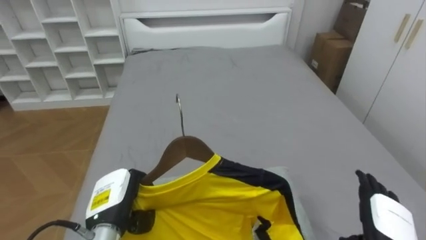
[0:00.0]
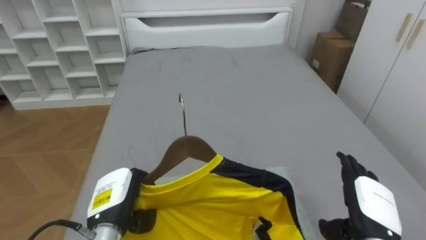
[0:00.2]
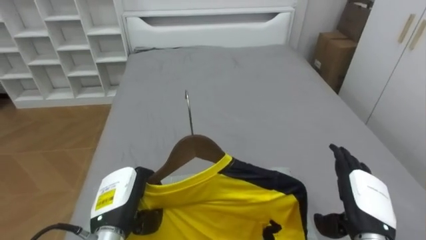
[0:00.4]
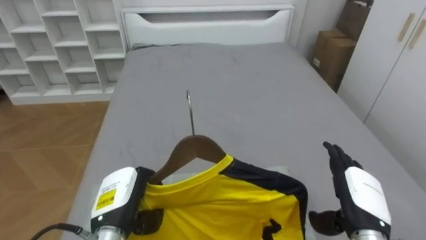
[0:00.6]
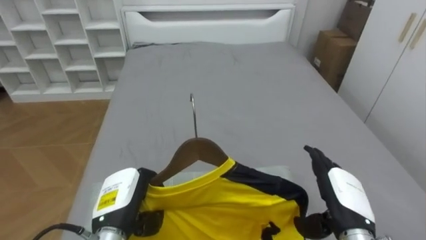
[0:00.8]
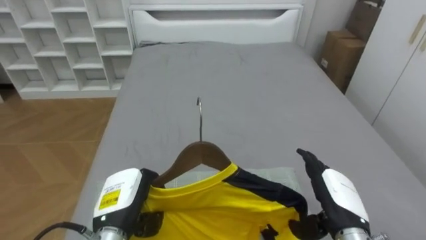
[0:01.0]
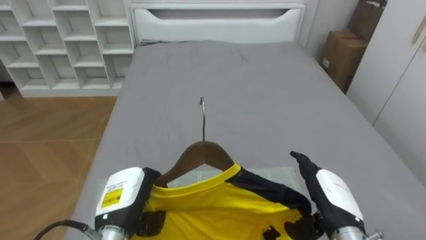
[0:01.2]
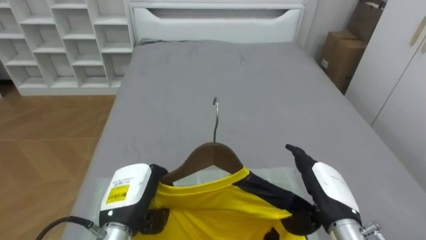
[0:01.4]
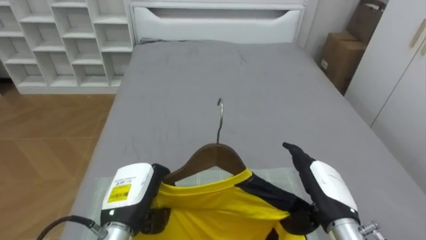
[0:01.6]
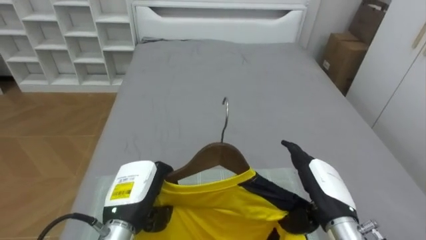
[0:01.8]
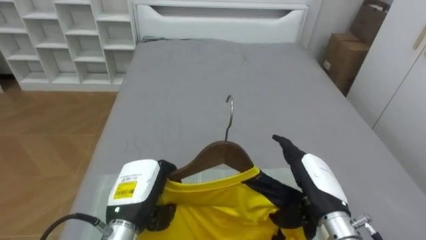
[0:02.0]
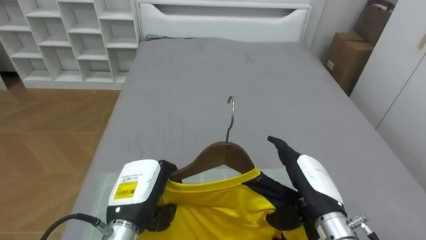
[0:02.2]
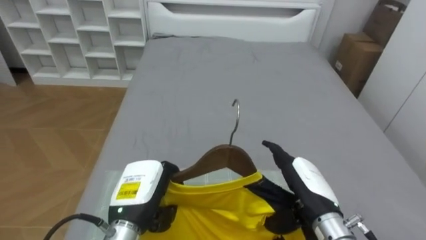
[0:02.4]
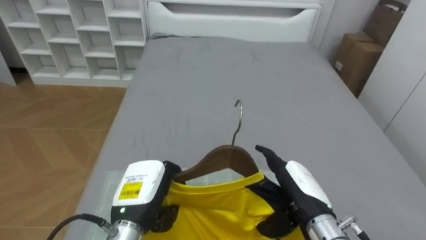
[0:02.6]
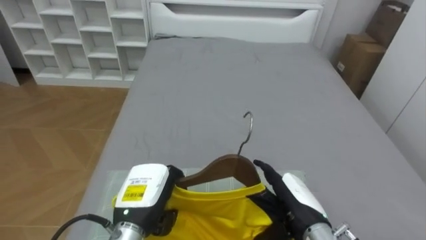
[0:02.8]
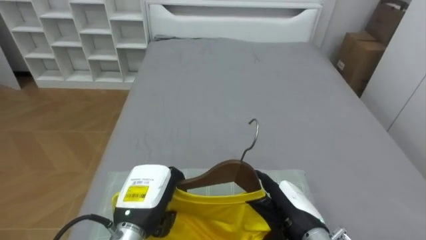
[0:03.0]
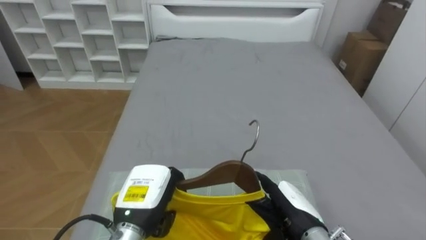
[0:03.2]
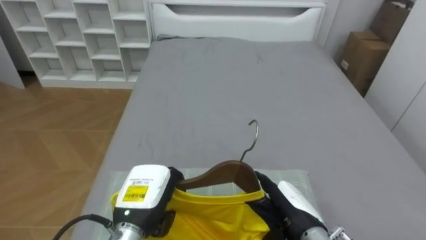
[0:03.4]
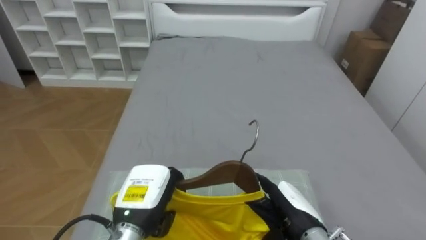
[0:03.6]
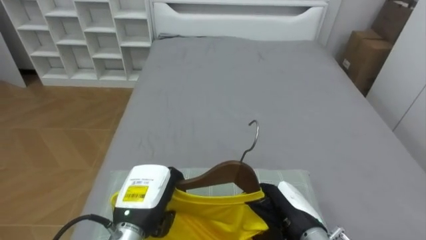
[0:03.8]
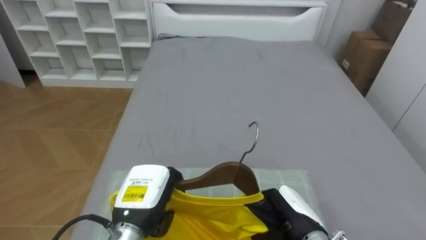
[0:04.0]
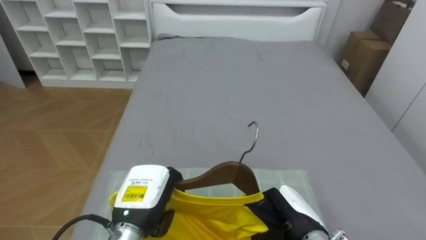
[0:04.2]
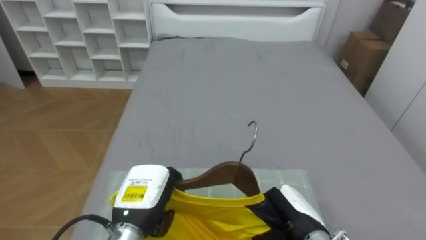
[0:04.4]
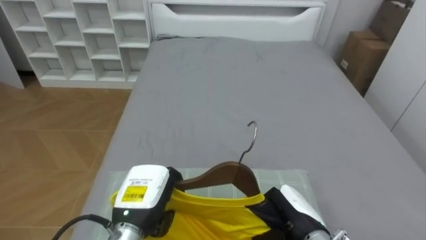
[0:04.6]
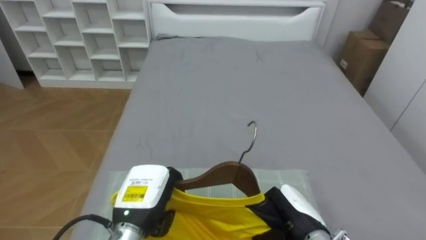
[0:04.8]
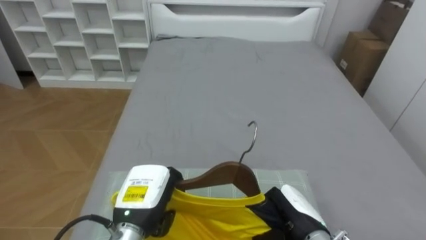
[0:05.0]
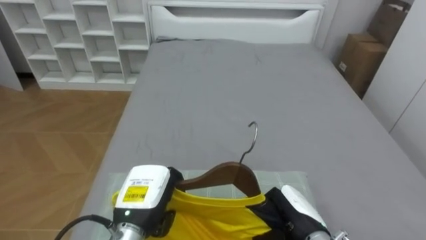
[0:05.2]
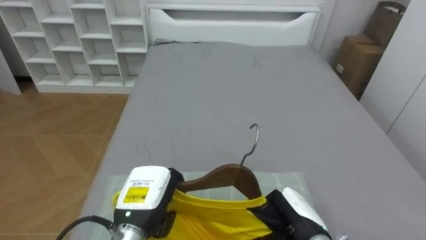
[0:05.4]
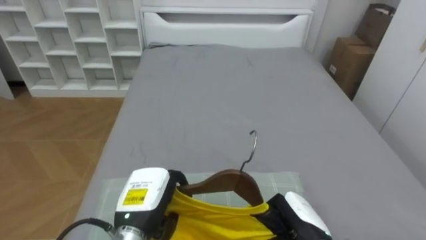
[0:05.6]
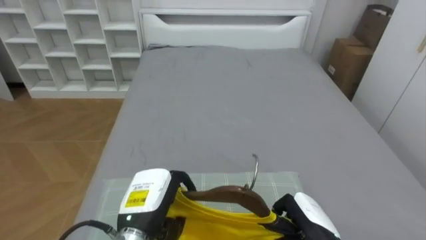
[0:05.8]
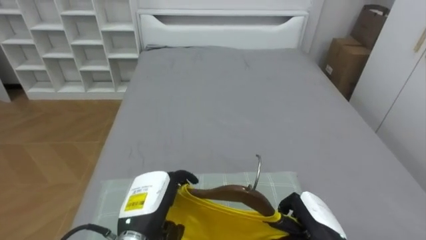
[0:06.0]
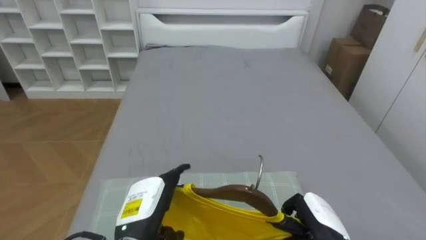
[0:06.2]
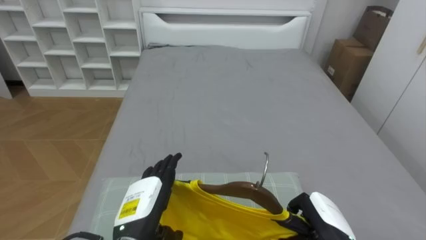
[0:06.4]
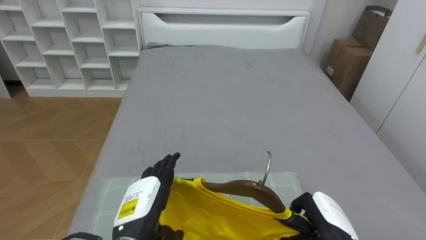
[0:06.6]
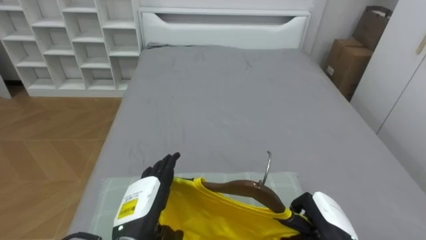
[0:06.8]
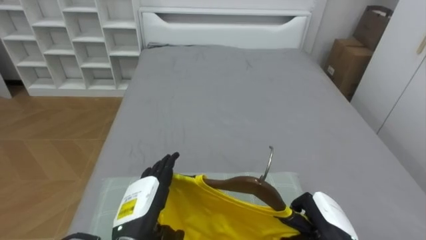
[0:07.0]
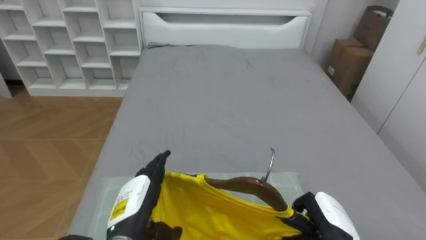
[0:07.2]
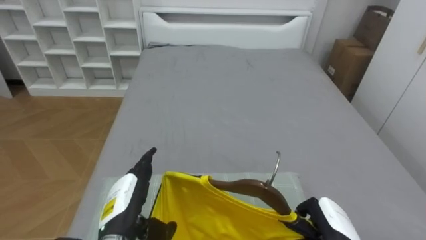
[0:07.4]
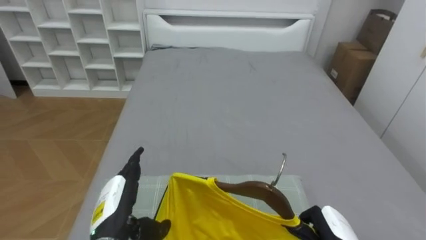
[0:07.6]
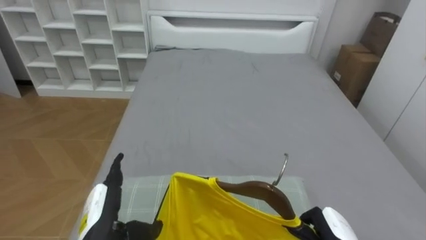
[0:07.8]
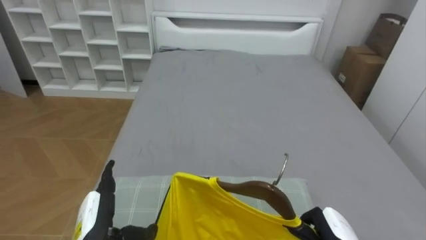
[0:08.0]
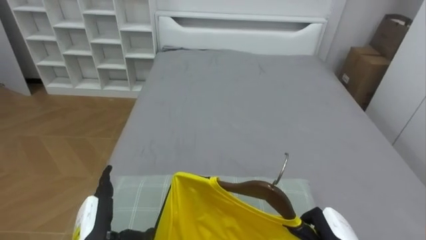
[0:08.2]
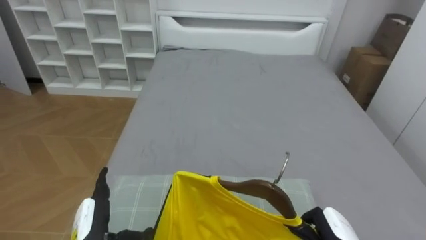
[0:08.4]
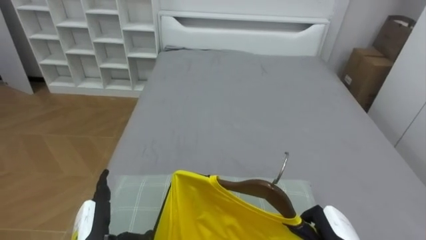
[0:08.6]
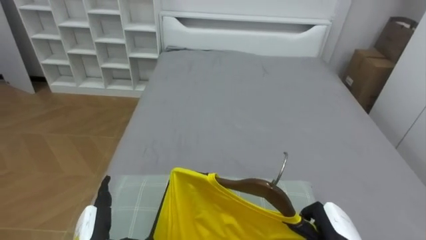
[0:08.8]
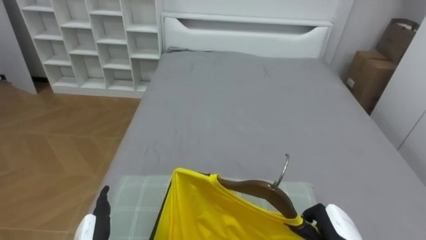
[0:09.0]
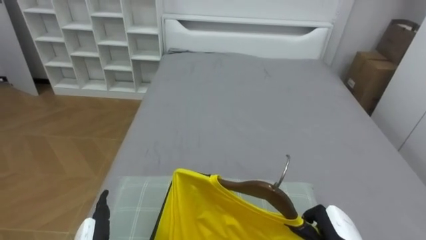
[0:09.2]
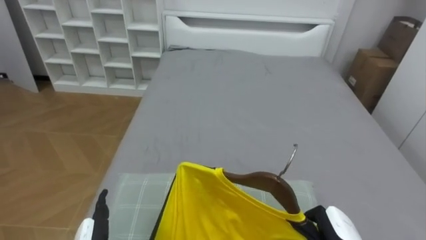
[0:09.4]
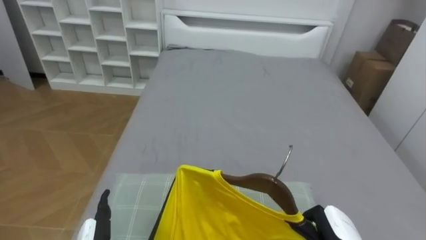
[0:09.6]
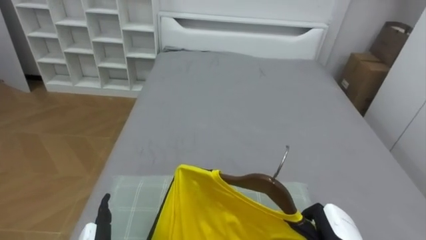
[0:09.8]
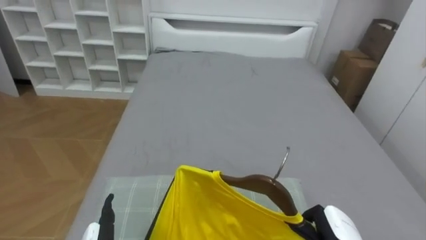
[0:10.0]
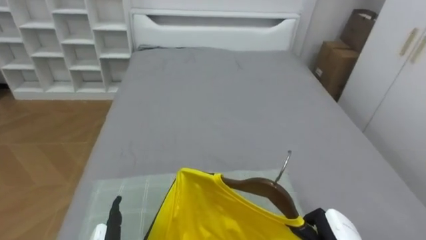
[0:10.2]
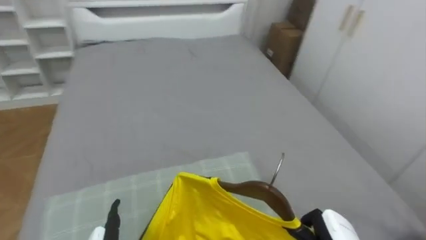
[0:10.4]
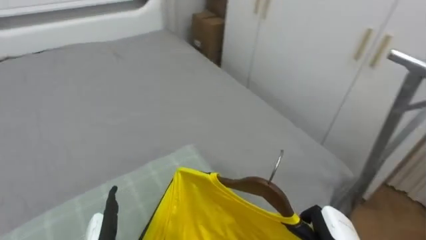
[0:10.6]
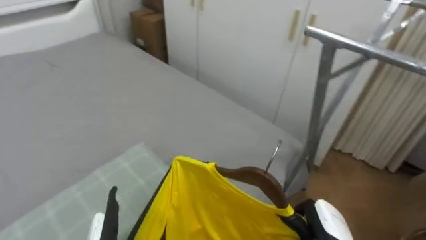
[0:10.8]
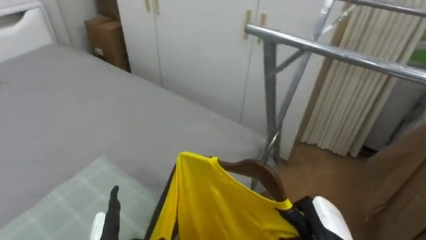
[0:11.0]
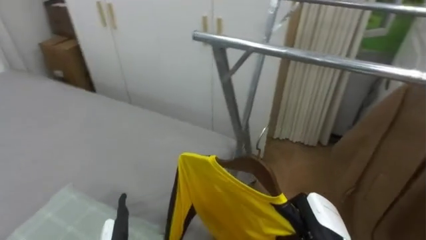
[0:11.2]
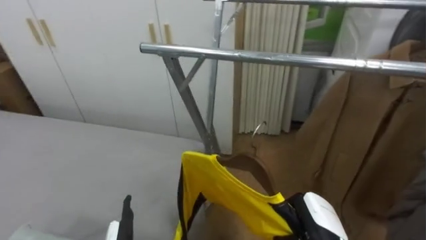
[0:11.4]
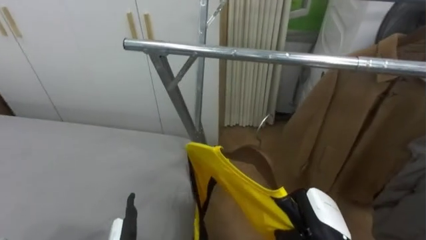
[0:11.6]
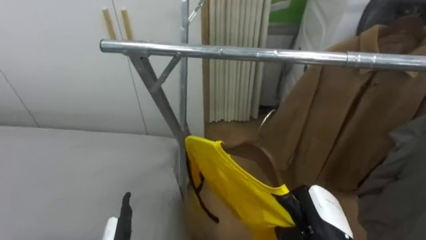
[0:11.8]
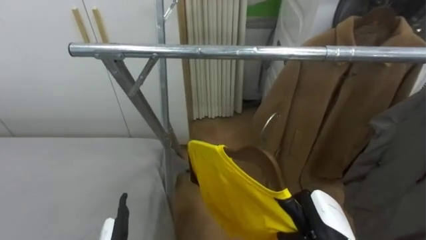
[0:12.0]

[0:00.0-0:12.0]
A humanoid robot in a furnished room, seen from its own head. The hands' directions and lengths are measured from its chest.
Task of the whole recording: Pick up the yellow shirt on the bed and hang it on the clothes rack on the right.
0:00.0 to 0:01.6: The right hand heads to the left and upward, covering roughly 10 cm.
0:01.6 to 0:03.0: The right hand moves approximately 5 cm.
0:03.0 to 0:04.4: The right hand closes.
0:04.4 to 0:06.0: The left hand opens its fingers.
0:06.0 to 0:07.6: The left hand moves to the left, approximately 5 cm, and opens.
0:07.6 to 0:09.0: The left hand goes about 5 cm downward.
0:10.4 to 0:12.0: The robot's body swings roughly 75 degrees to its right.

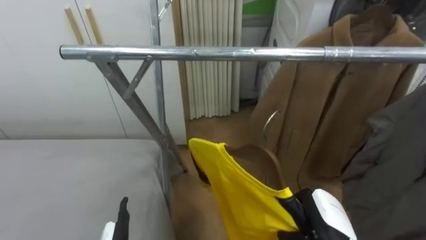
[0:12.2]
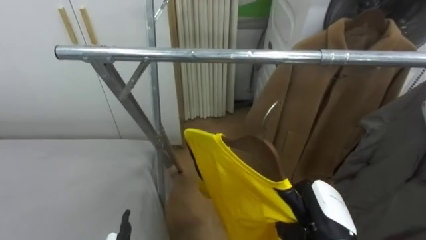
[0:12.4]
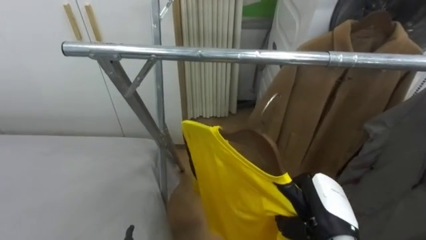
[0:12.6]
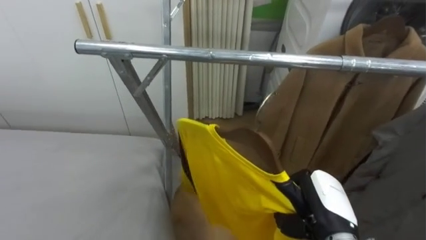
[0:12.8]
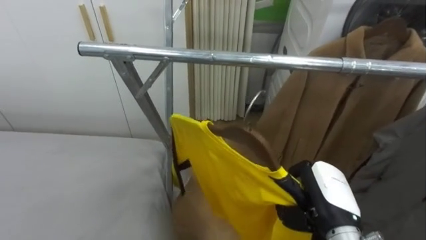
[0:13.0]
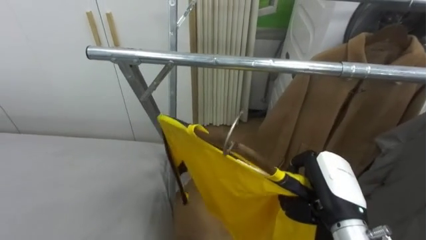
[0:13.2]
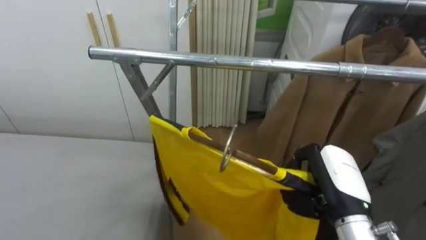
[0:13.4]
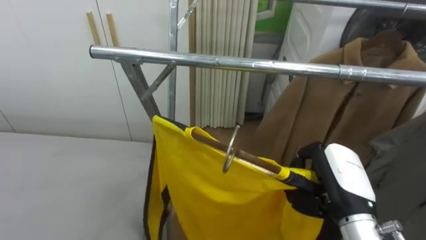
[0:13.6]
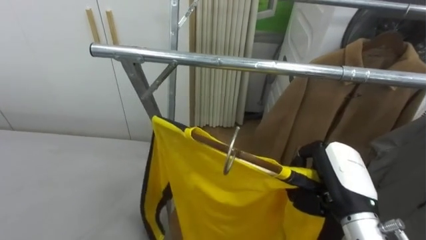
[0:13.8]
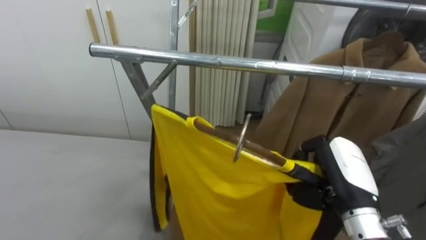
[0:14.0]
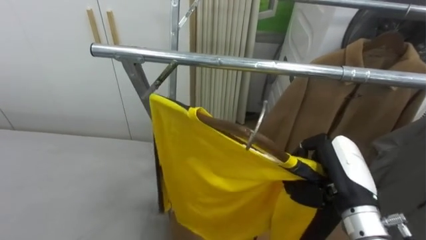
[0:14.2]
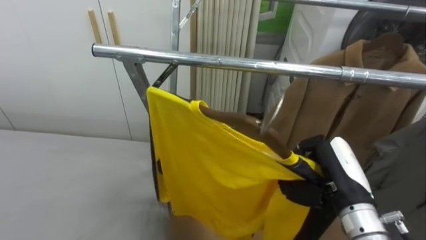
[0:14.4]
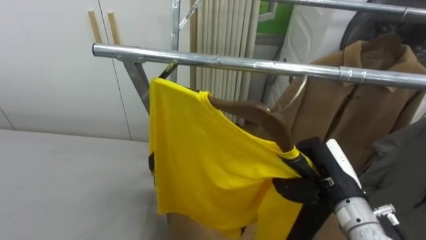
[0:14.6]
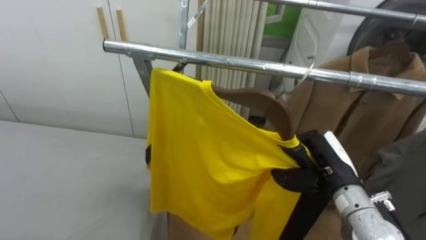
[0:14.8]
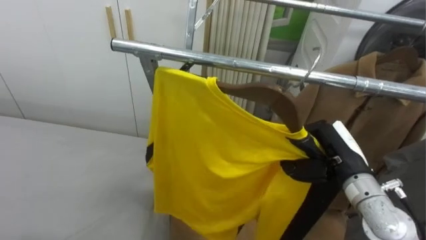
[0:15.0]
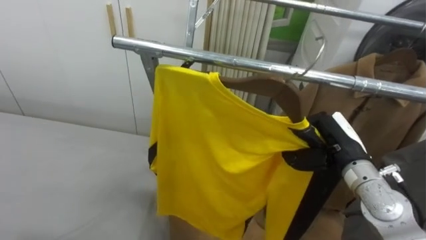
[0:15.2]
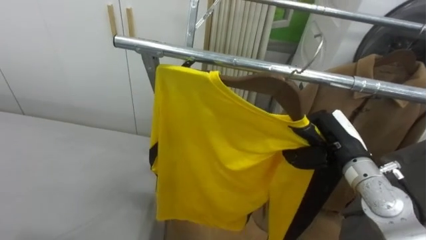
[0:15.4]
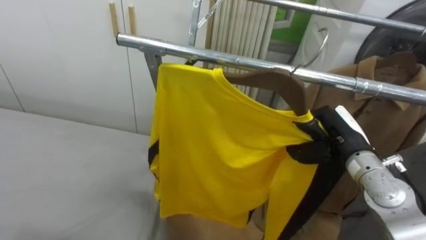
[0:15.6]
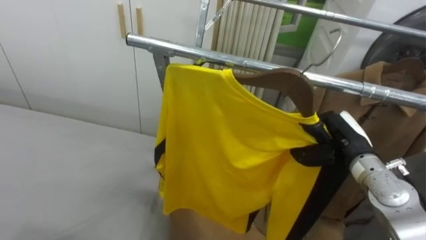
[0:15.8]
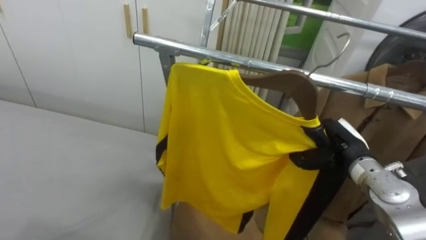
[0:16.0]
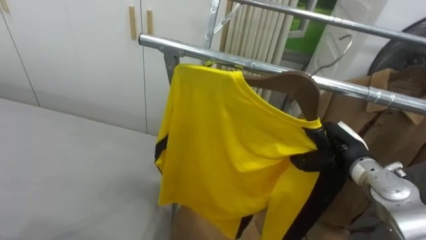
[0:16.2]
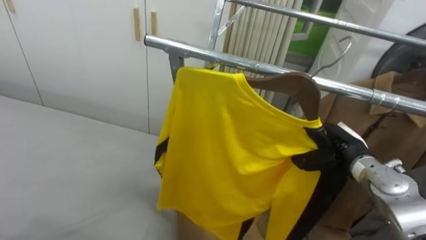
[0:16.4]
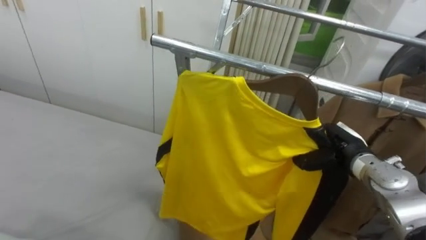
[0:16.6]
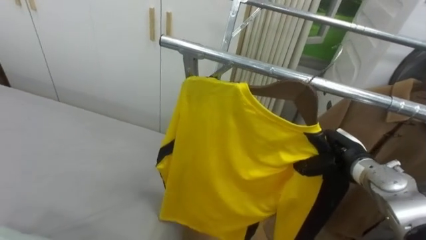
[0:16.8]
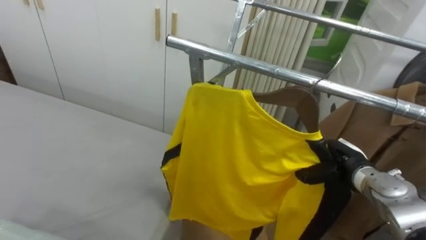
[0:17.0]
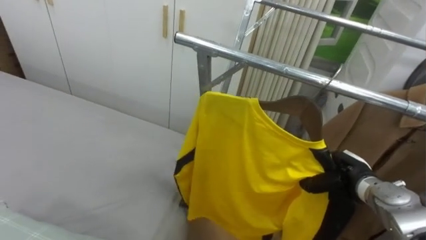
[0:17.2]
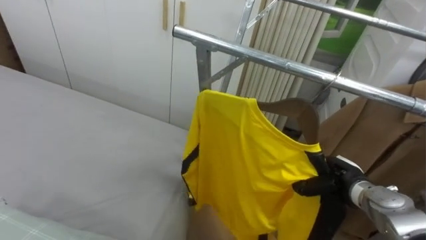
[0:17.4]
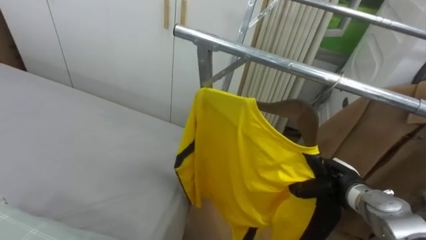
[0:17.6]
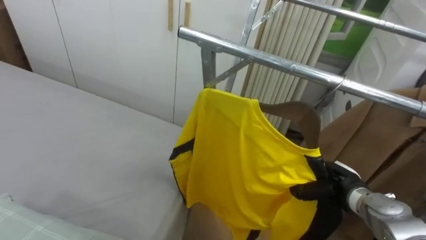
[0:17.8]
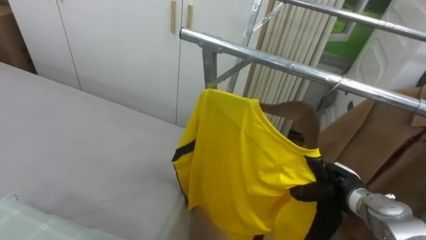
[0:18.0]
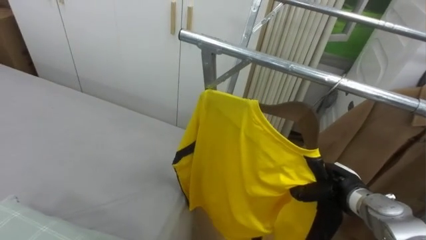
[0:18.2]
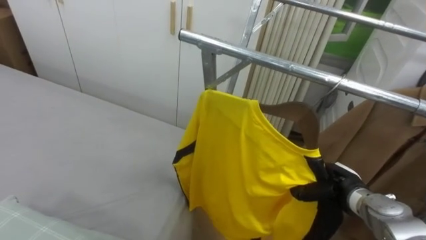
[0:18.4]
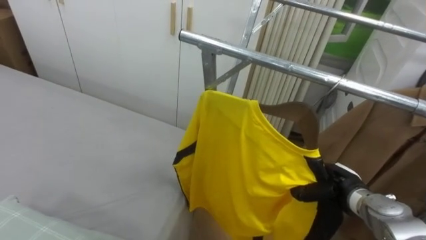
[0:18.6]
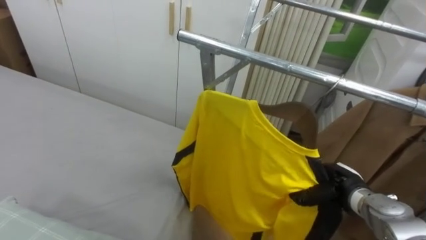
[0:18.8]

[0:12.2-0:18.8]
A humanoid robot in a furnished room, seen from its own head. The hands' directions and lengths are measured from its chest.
Task of the whole recording: Pick up the yellow shirt on the bed and hang it on the clothes rack on the right.
0:12.2 to 0:13.8: The right hand goes roughly 10 cm upward.
0:13.8 to 0:15.4: The right hand travels forward by some 10 cm.
0:15.4 to 0:17.2: The right hand moves downward, about 10 cm.
